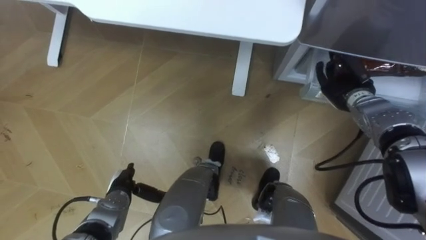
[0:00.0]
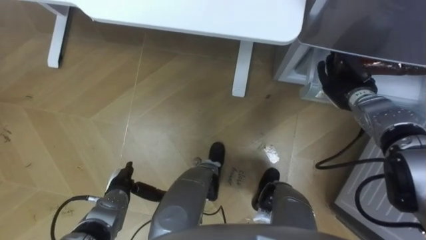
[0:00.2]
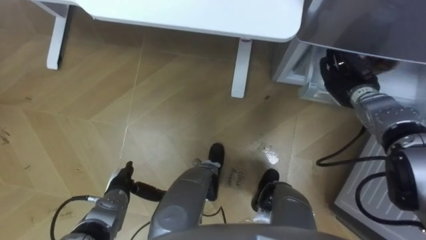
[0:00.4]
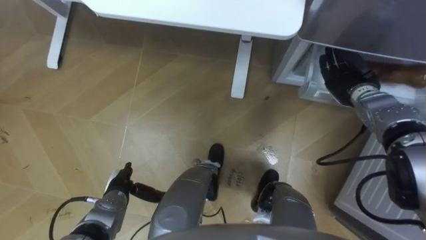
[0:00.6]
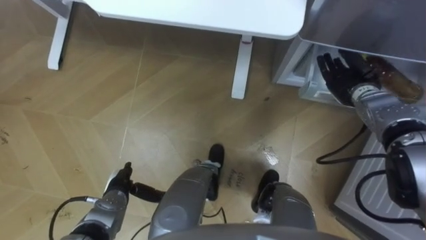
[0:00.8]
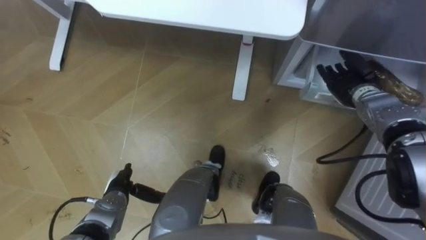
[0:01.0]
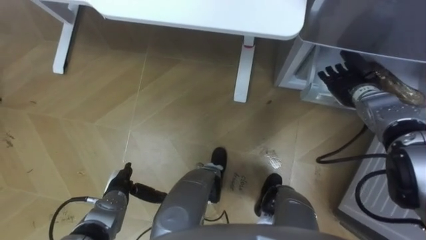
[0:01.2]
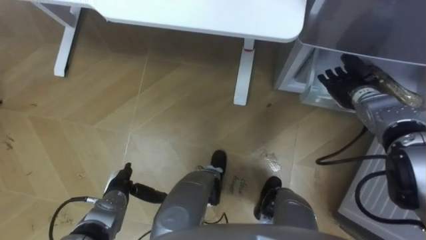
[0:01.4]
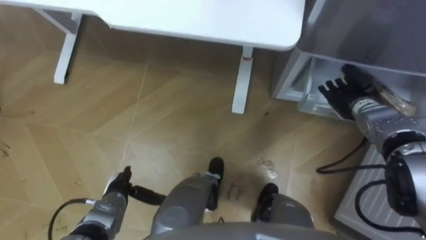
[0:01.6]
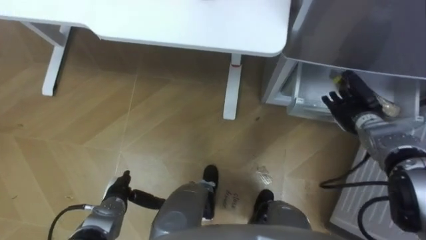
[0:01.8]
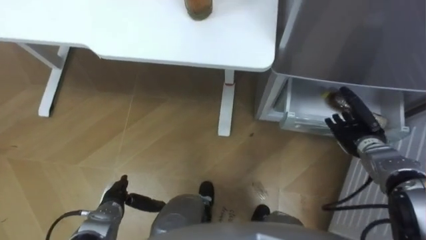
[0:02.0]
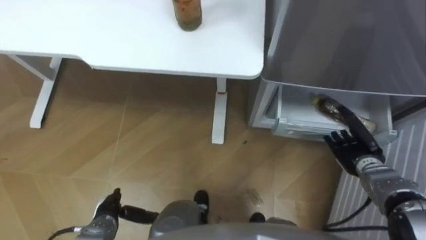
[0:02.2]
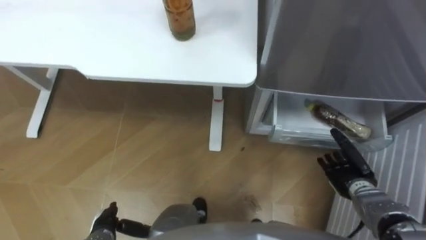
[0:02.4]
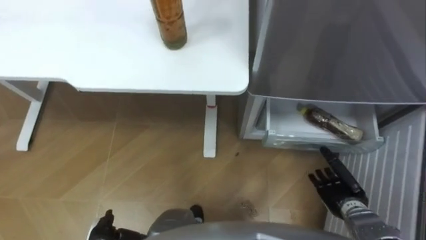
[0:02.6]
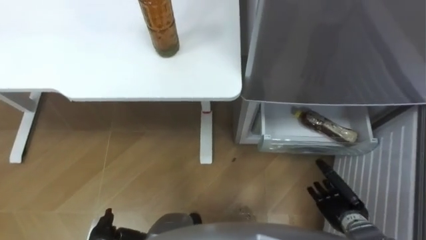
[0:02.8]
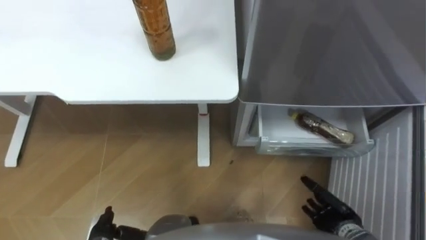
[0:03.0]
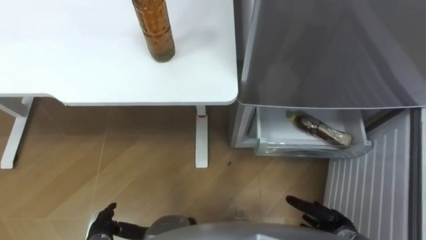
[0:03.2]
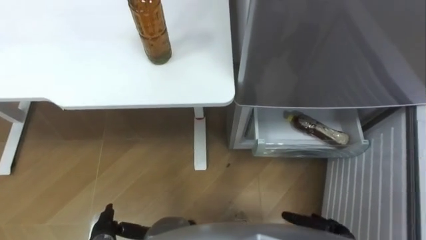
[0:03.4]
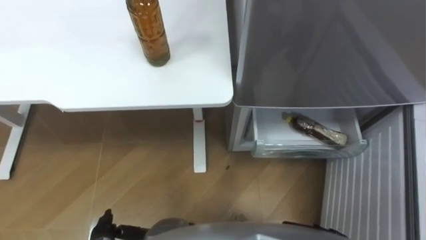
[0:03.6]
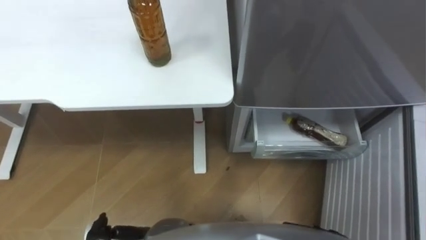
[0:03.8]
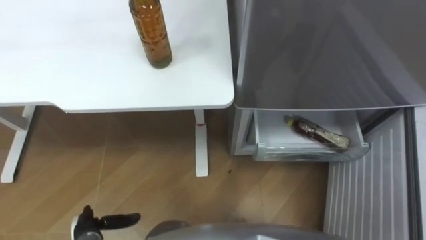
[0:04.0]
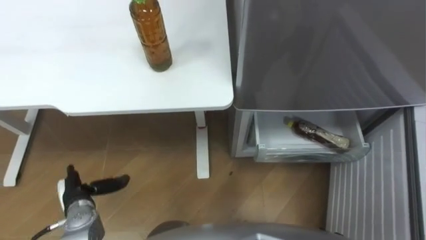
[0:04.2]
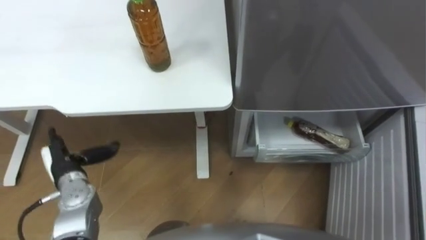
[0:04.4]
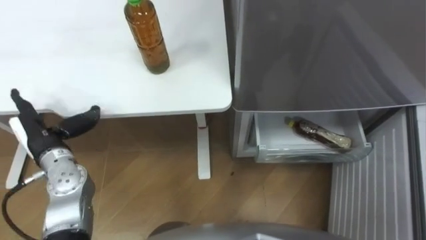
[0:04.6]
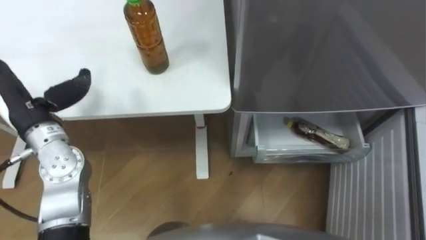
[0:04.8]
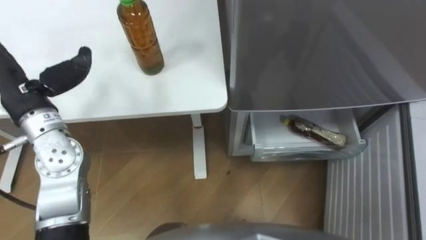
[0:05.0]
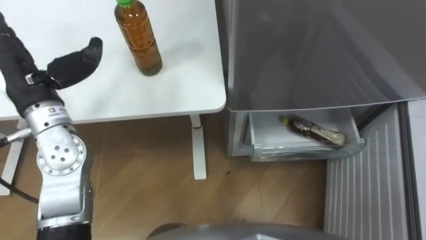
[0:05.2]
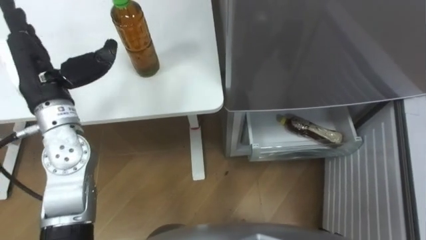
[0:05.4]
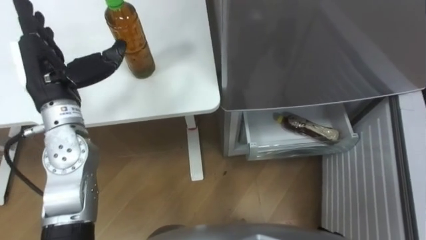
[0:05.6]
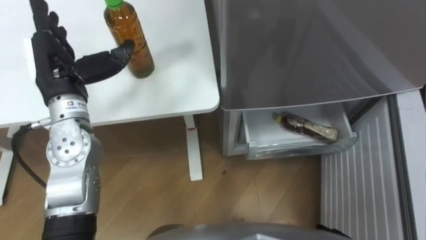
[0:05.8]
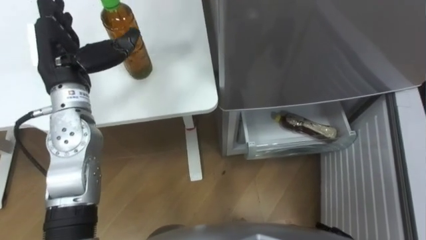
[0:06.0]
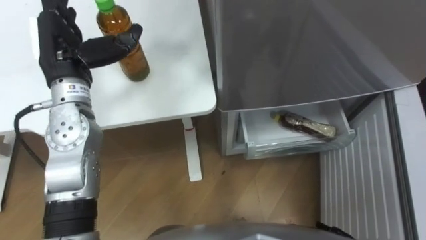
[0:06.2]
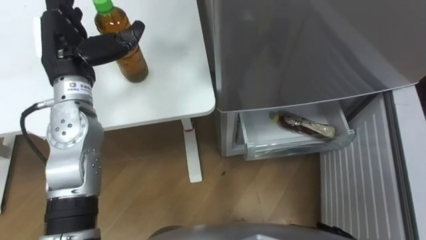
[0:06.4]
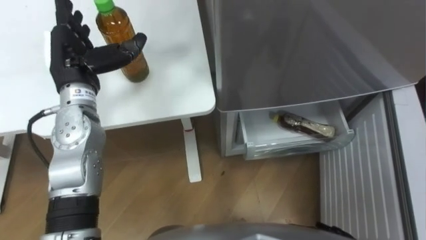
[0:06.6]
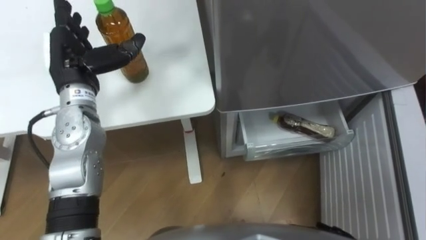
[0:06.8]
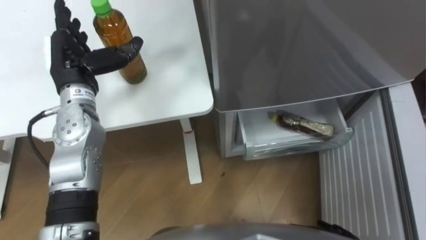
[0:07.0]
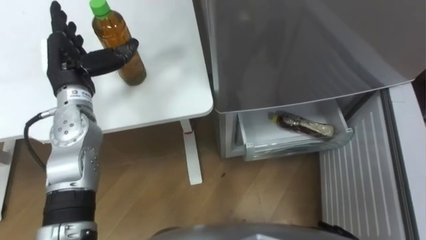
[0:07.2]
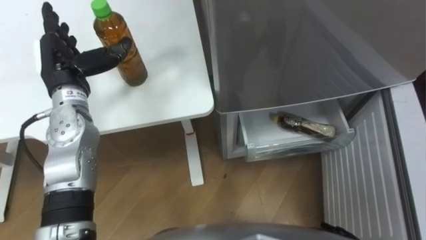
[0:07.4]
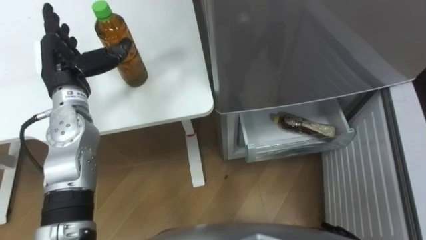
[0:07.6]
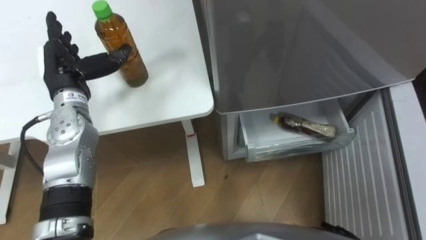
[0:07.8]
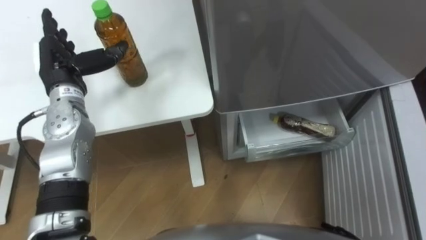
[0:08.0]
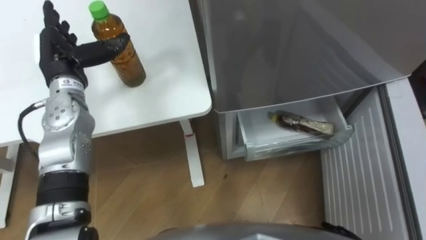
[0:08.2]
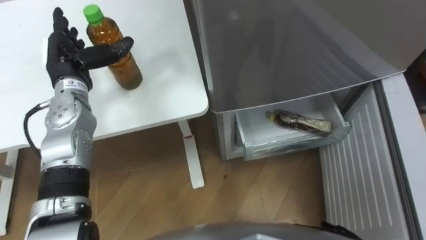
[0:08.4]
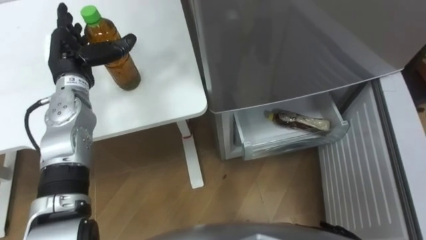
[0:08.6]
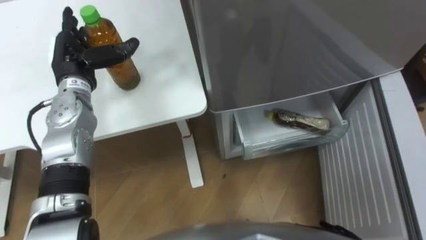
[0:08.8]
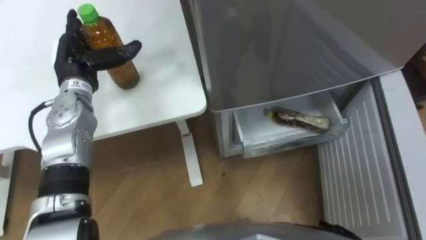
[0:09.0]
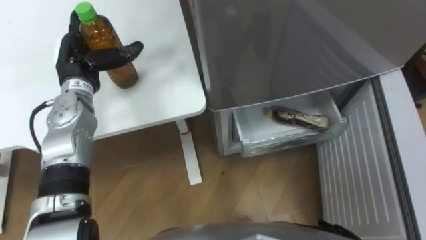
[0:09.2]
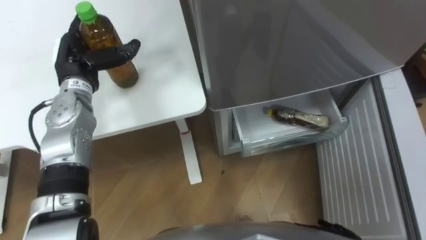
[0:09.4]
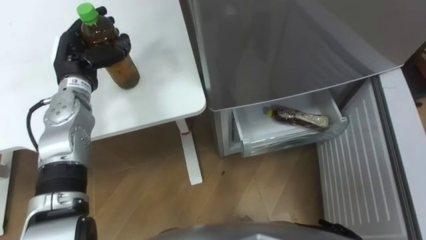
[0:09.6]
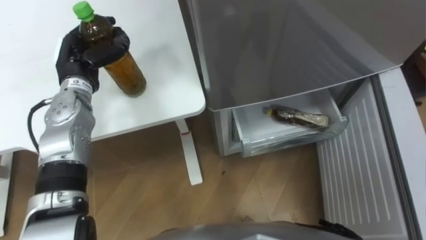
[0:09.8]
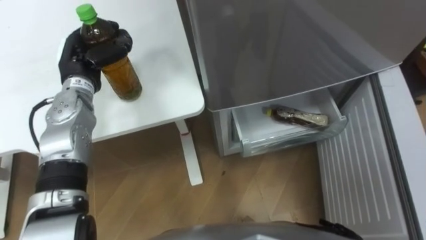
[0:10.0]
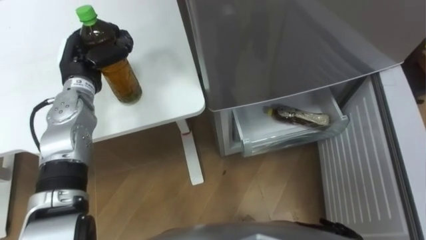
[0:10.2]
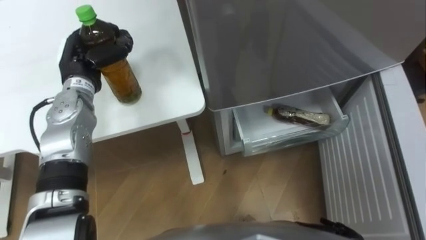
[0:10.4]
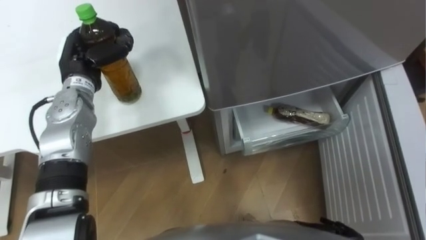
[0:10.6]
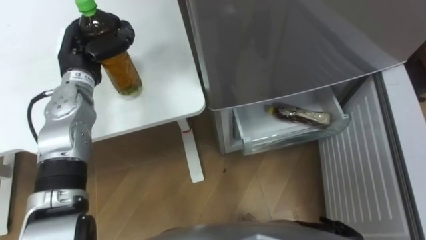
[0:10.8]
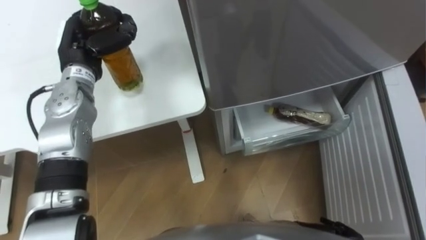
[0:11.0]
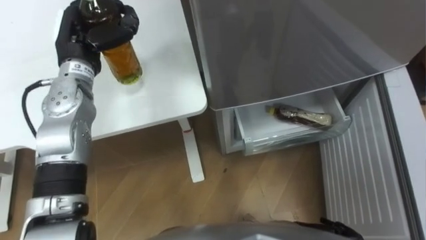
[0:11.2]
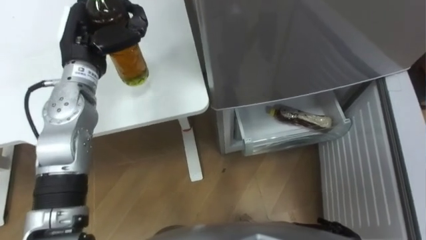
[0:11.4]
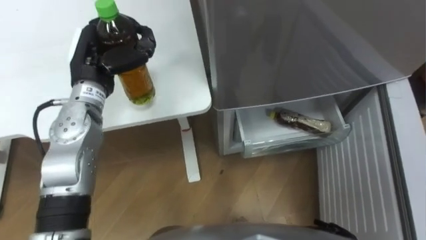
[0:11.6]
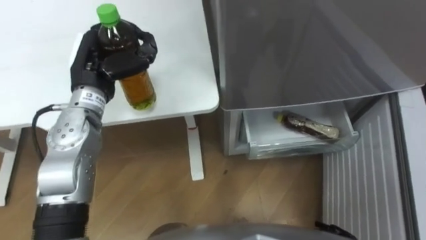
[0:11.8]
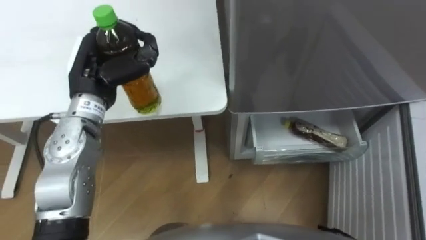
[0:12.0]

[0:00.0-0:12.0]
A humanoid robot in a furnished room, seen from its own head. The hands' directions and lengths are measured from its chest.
Task of the whole recording: Place the drink on the table on the bottom shelf of the refrigerator, then close the drawer and the refrigerator door.
0:00.0 to 0:01.6: The right hand opens up.
0:01.6 to 0:03.0: The right hand moves backward and downward, some 25 cm.
0:03.0 to 0:04.4: The left hand goes some 15 cm forward, upward and to the left.
0:04.4 to 0:06.0: The left hand goes some 25 cm upward and forward.
0:06.0 to 0:07.6: The left hand shifts by approximately 5 cm.
0:09.0 to 0:10.4: The left hand closes up.
0:10.4 to 0:12.0: The left hand heads upward and to the right, covering roughly 5 cm.

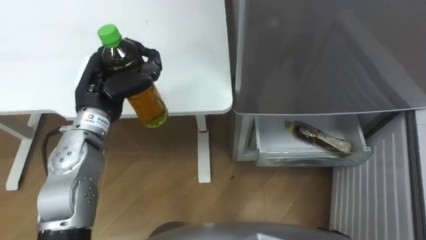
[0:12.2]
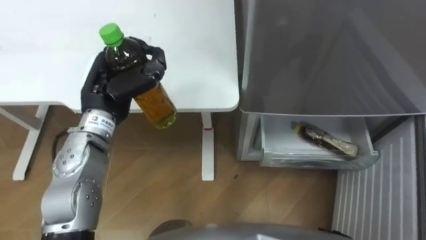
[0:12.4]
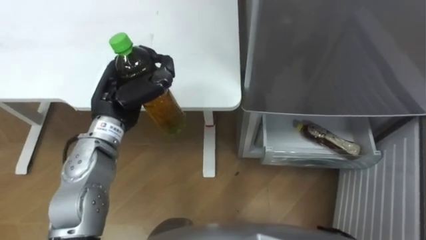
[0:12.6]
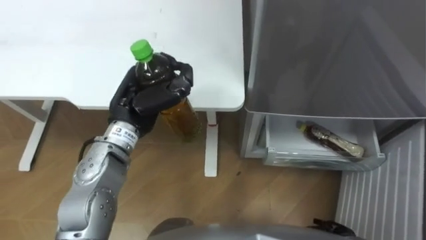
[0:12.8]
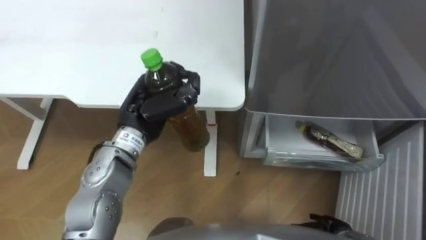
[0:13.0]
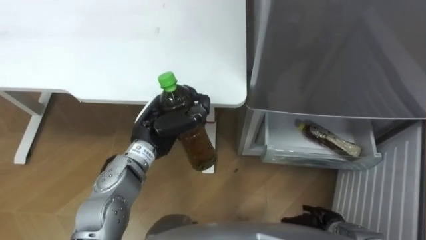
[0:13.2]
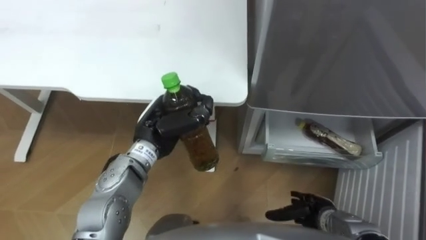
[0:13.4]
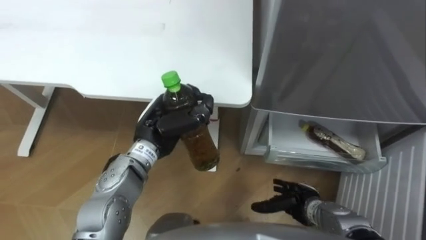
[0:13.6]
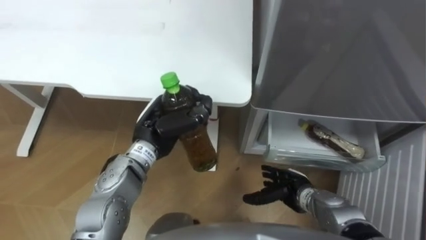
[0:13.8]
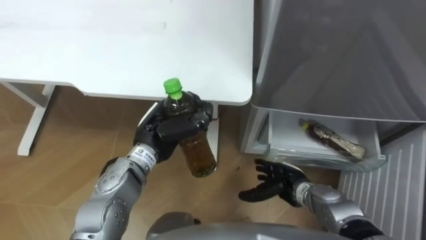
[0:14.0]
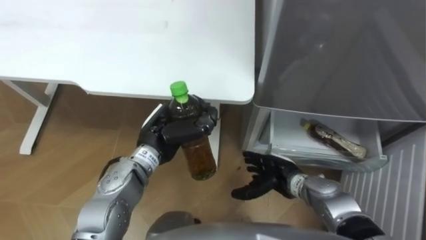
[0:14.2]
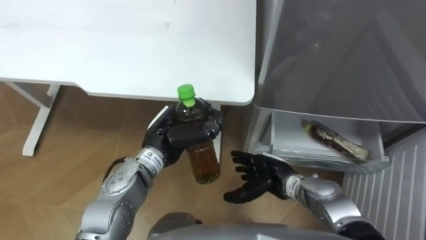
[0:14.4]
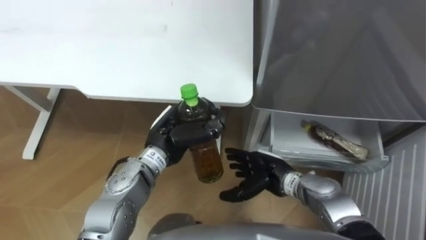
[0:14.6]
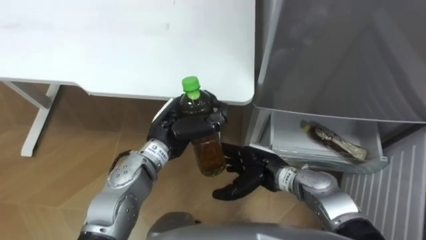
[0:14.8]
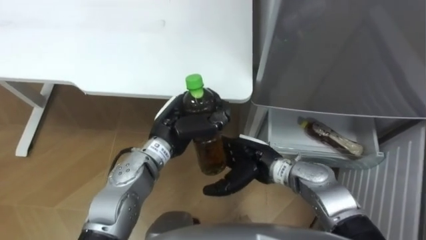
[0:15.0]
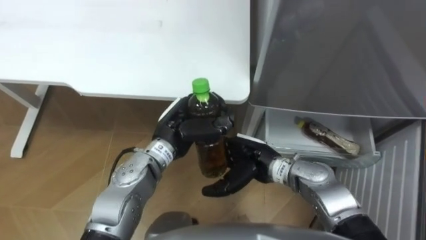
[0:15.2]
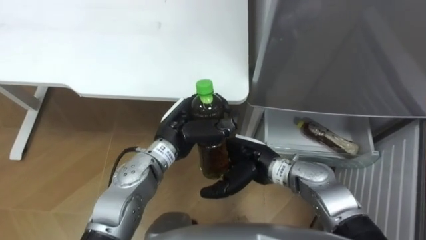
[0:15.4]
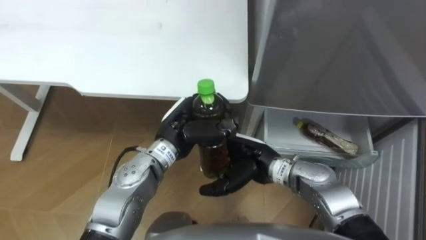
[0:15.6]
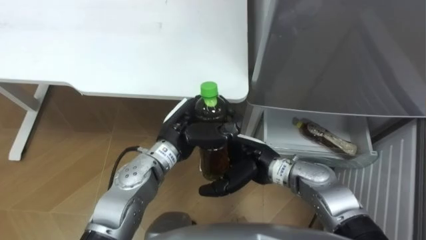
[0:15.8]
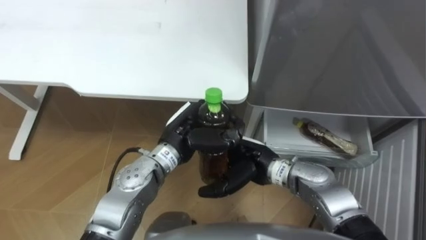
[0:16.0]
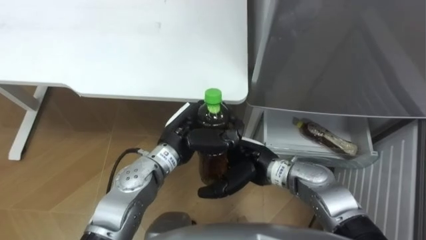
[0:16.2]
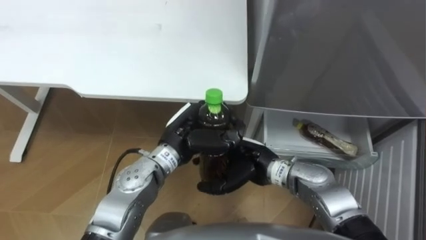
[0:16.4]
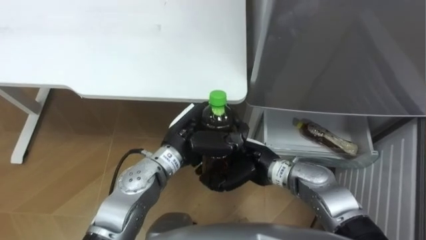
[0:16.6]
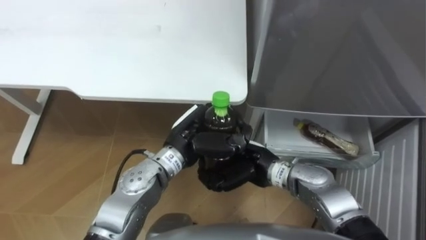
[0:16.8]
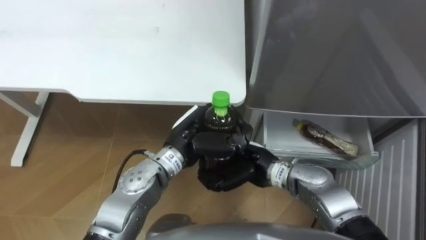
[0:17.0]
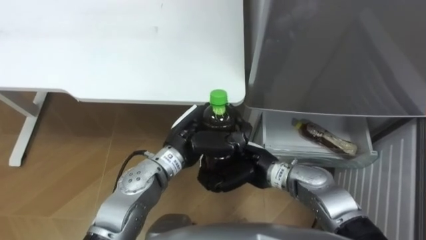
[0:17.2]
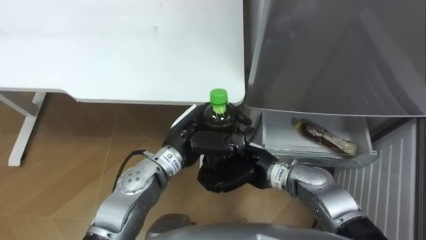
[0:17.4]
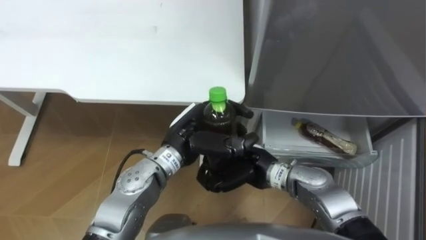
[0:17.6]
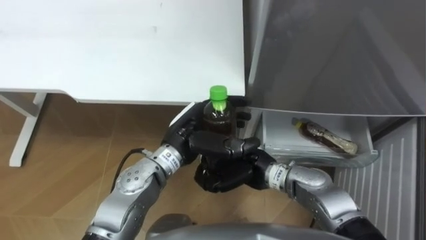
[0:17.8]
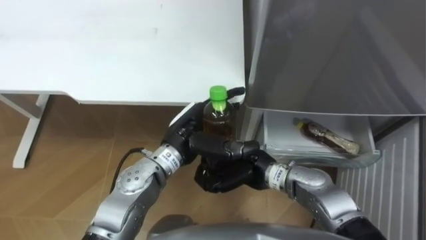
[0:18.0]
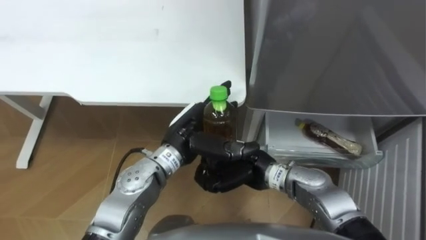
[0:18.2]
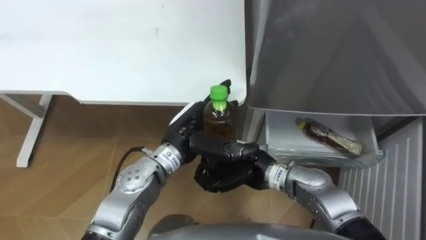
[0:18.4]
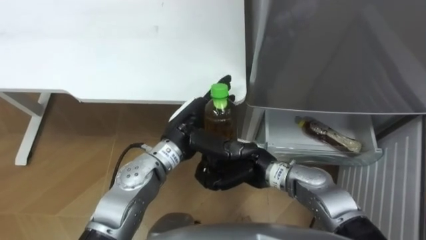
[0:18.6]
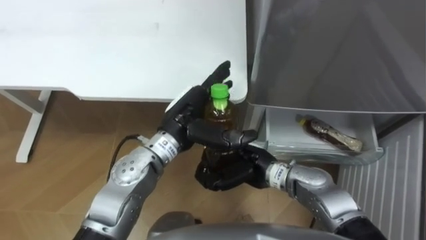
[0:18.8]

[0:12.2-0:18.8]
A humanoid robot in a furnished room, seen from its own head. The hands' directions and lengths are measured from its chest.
Task of the whole recording: Place the drink on the table on the bottom shelf of the refrigerator, then close the drawer and the refrigerator door.
0:12.2 to 0:13.8: The left hand heads to the right and downward, covering some 10 cm.
0:13.8 to 0:15.4: The right hand travels upward and to the left by approximately 15 cm.
0:15.4 to 0:17.2: The right hand closes.
0:17.2 to 0:18.8: The left hand opens.
